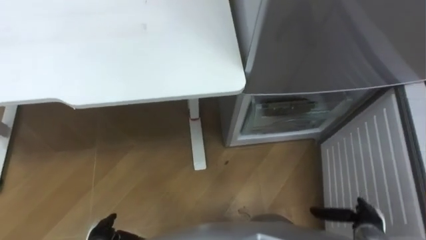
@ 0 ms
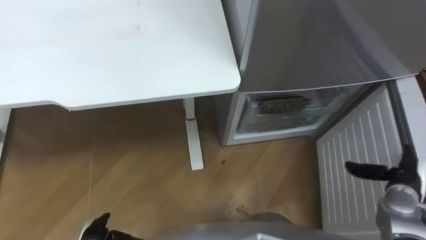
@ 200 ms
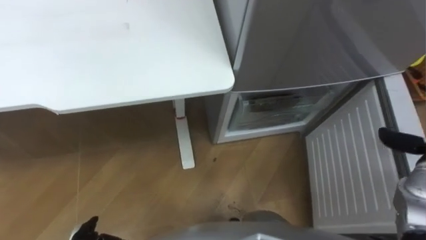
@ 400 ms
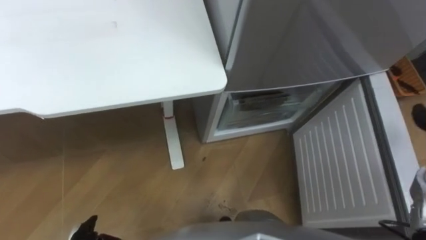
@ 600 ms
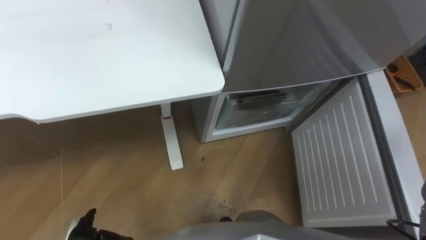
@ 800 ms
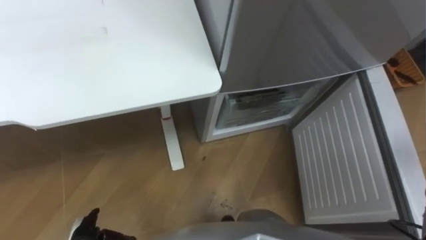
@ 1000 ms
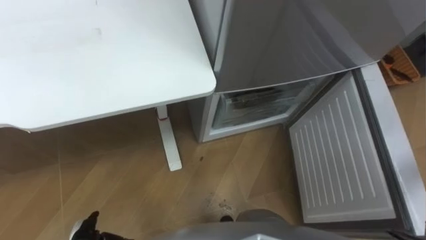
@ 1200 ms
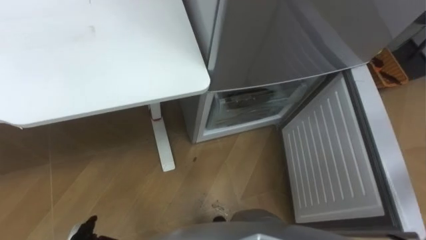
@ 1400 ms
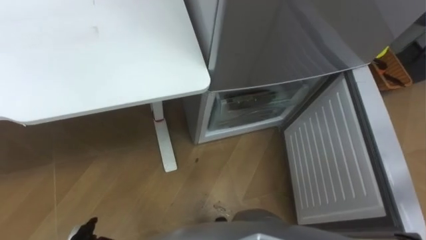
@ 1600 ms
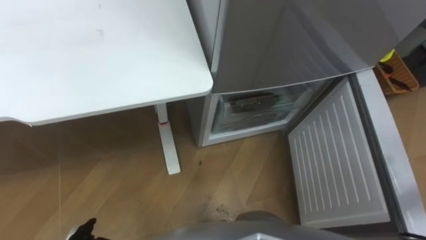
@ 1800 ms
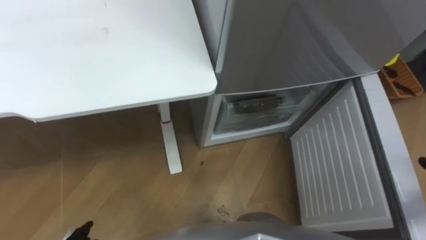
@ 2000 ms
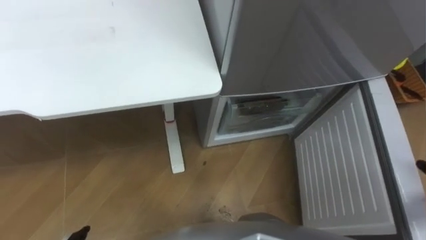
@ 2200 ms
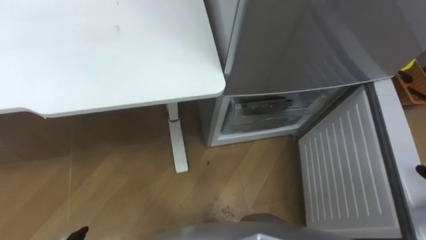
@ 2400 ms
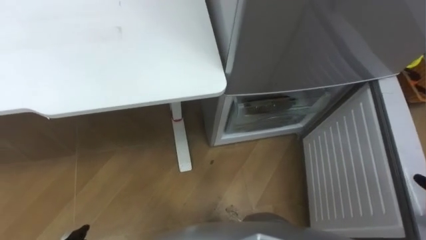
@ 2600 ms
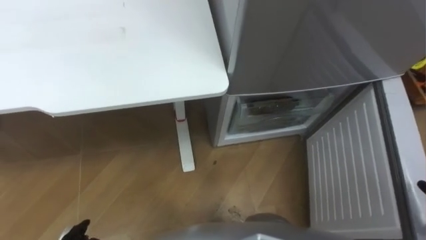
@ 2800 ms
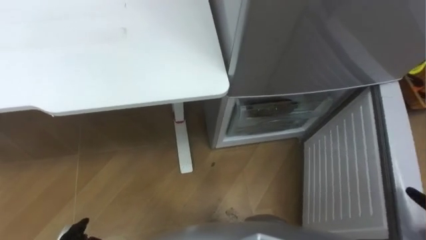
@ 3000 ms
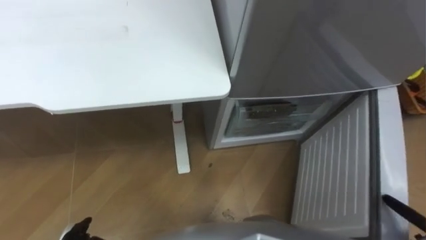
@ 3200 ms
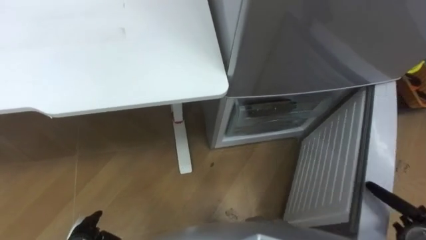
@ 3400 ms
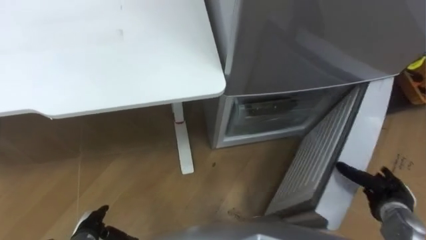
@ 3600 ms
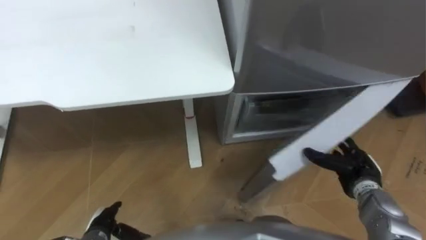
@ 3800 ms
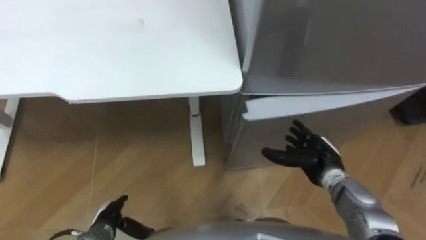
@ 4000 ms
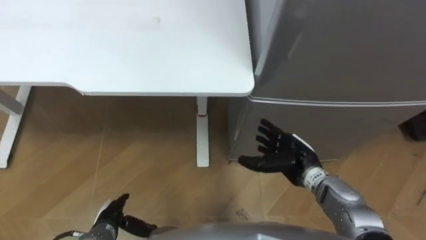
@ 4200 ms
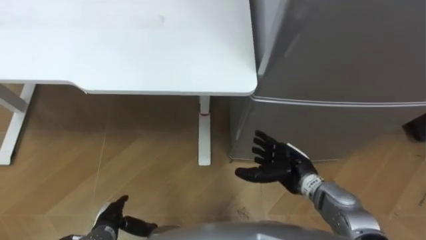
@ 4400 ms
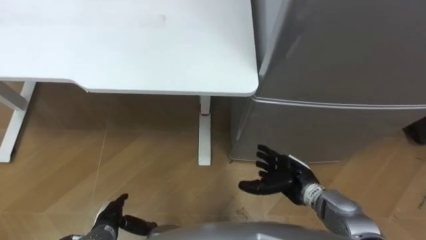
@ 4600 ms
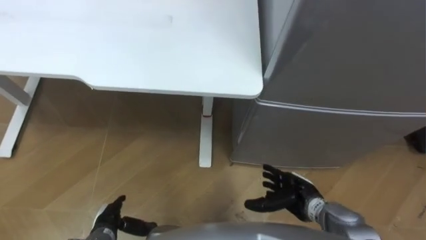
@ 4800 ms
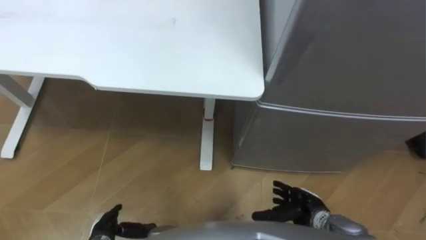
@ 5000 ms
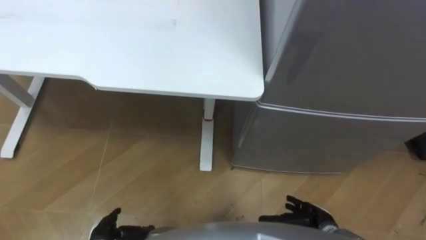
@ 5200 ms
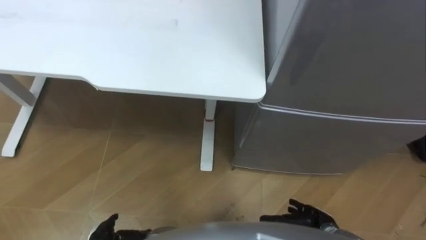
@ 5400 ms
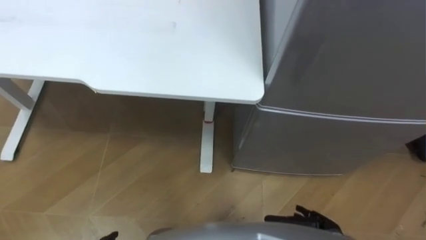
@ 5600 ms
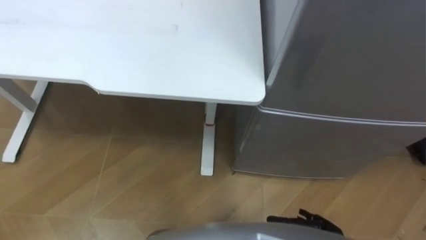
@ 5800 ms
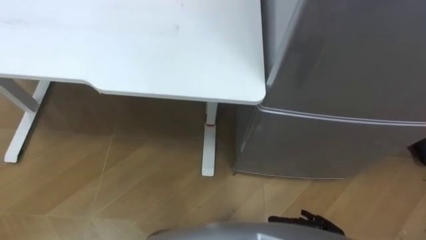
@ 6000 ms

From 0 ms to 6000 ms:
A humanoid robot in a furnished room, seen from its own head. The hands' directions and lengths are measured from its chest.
Task of the whole recording: Place the drink on the table on the bottom shelf of the refrigerator, then close the drawer and the refrigerator door.
From 4400 ms to 6000 ms: The right hand is displaced backward, downward and to the right by some 20 cm.

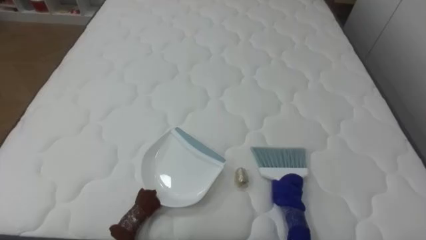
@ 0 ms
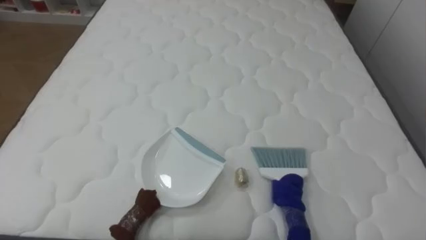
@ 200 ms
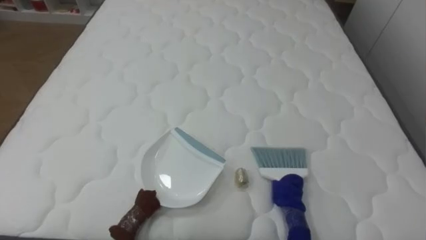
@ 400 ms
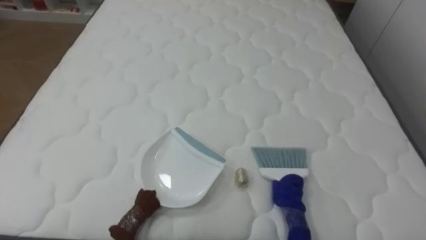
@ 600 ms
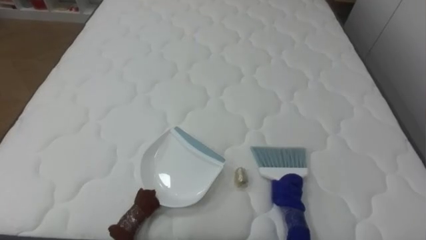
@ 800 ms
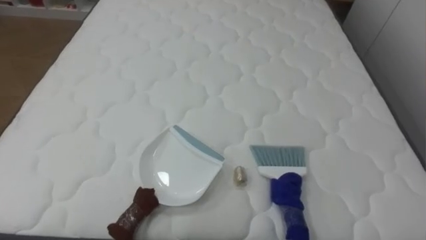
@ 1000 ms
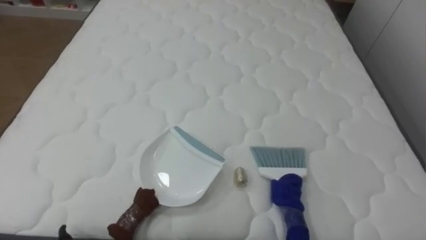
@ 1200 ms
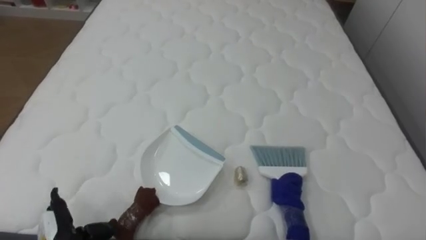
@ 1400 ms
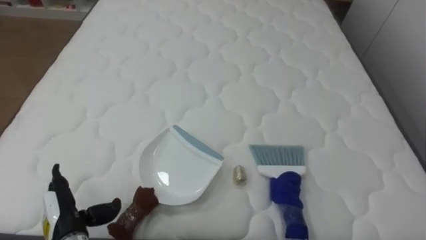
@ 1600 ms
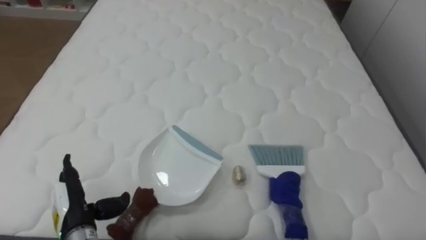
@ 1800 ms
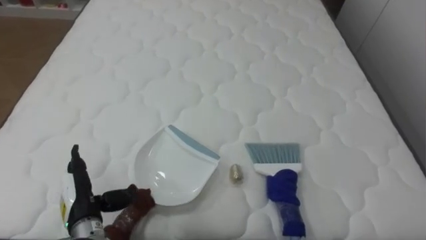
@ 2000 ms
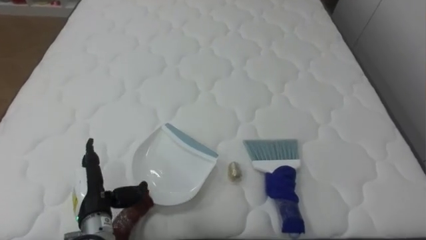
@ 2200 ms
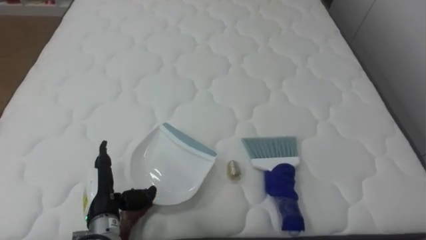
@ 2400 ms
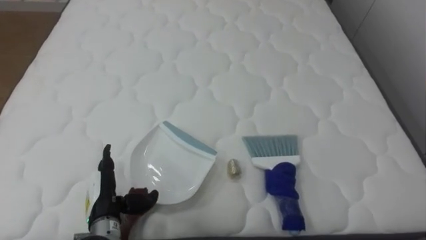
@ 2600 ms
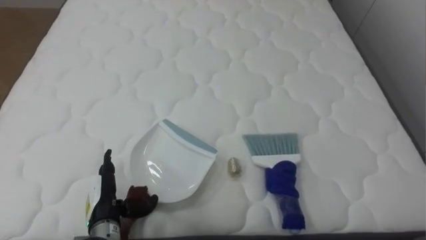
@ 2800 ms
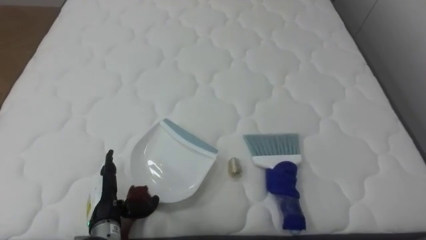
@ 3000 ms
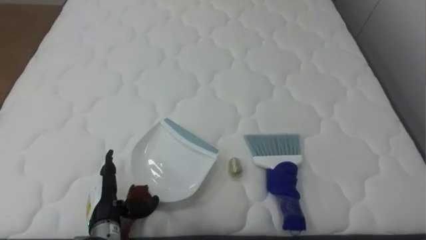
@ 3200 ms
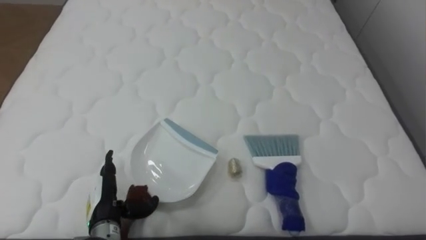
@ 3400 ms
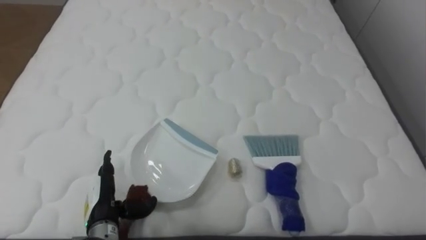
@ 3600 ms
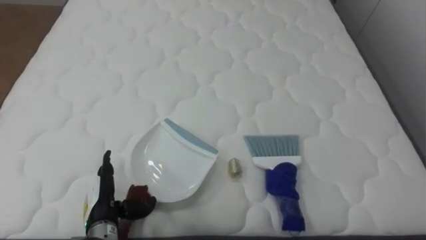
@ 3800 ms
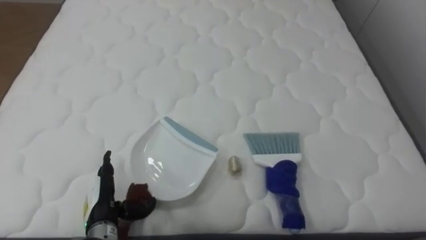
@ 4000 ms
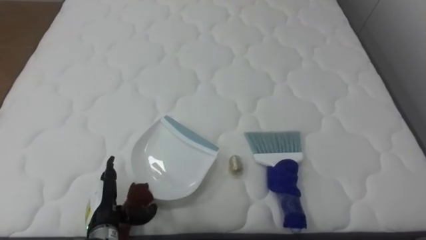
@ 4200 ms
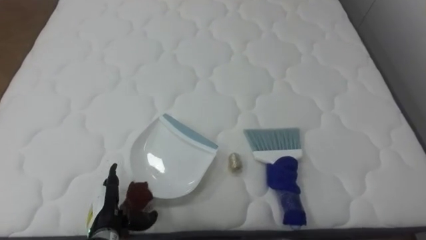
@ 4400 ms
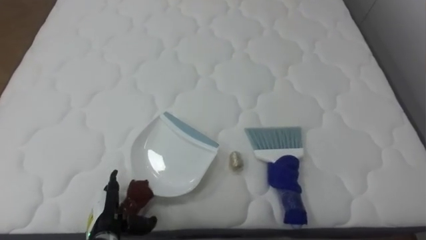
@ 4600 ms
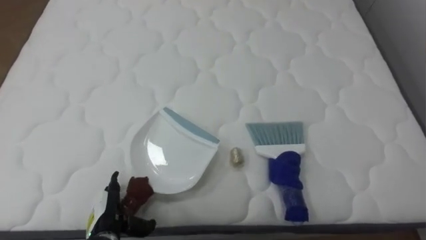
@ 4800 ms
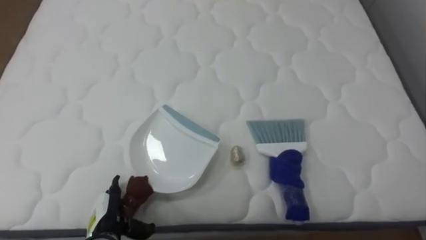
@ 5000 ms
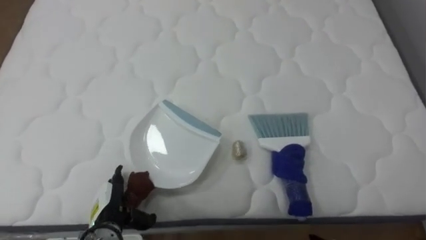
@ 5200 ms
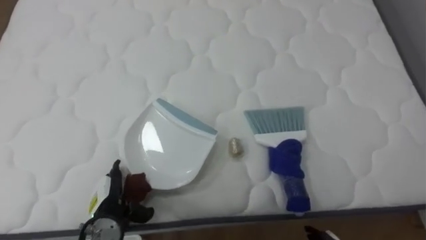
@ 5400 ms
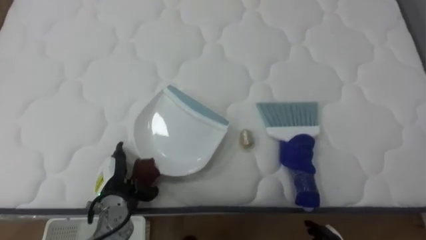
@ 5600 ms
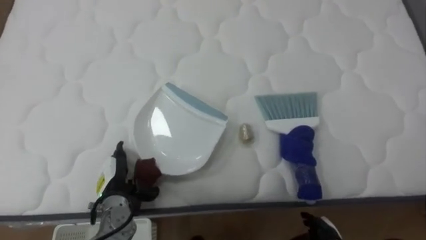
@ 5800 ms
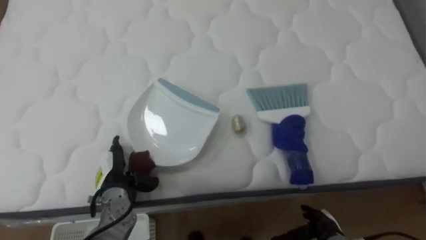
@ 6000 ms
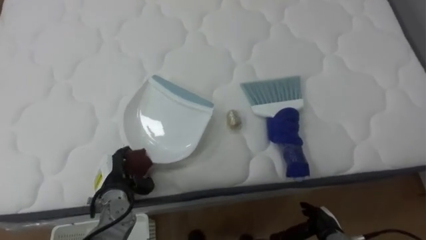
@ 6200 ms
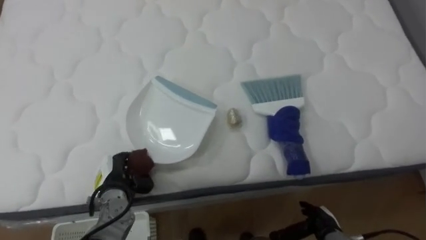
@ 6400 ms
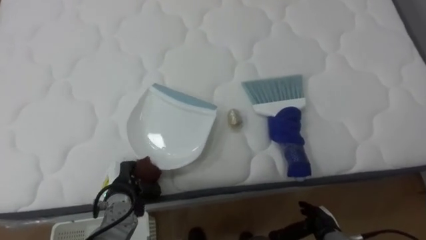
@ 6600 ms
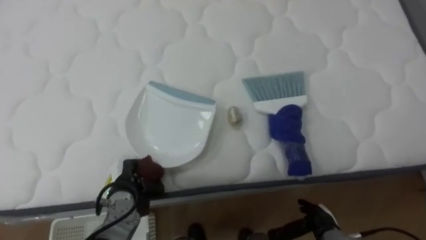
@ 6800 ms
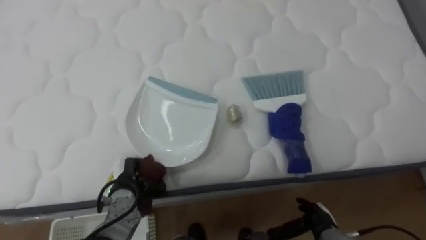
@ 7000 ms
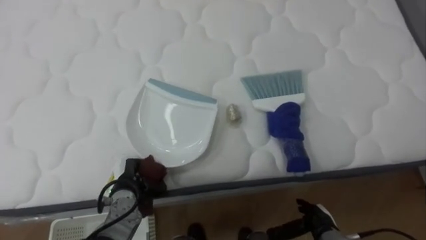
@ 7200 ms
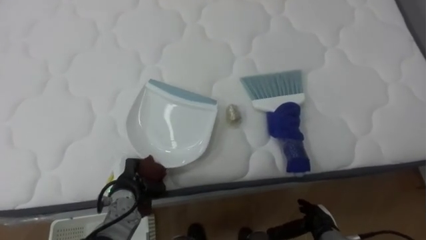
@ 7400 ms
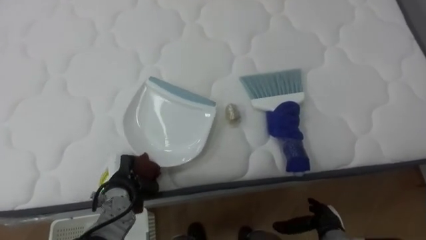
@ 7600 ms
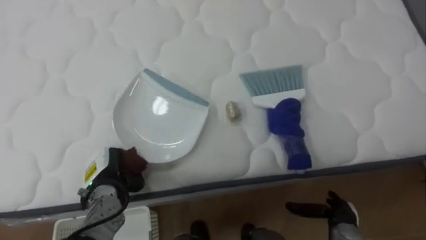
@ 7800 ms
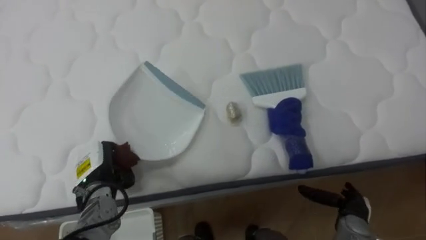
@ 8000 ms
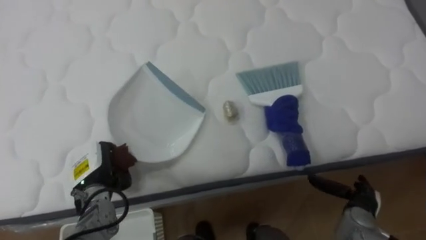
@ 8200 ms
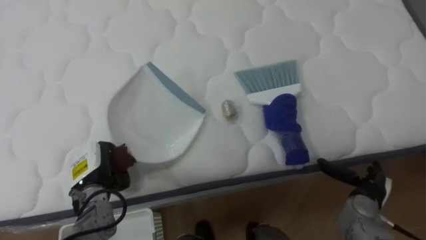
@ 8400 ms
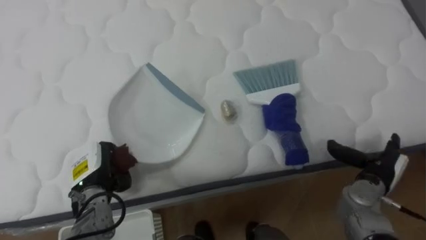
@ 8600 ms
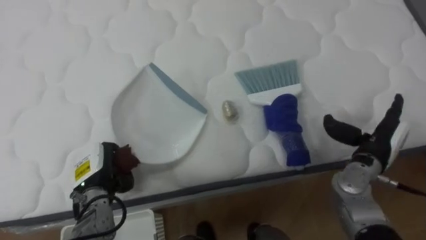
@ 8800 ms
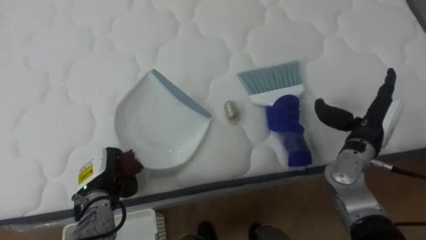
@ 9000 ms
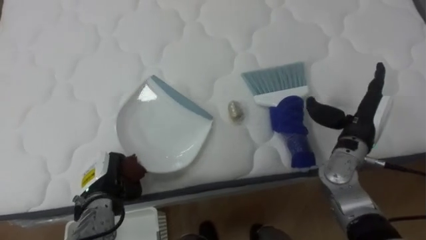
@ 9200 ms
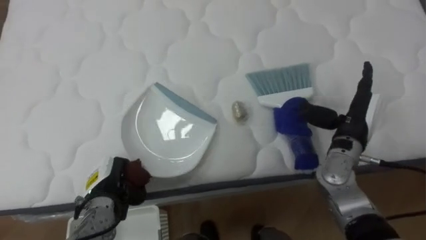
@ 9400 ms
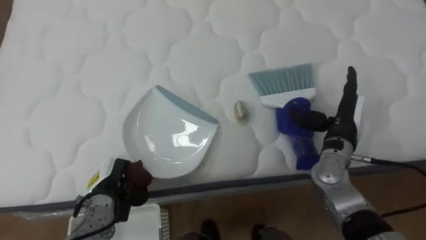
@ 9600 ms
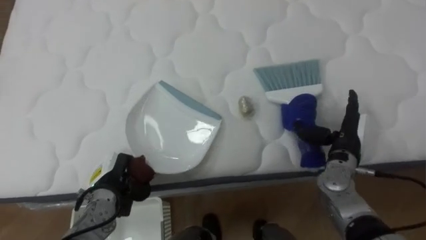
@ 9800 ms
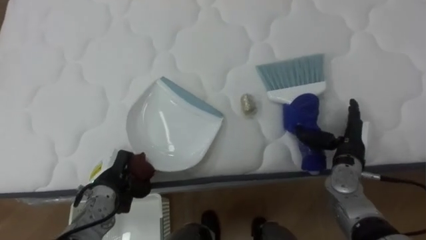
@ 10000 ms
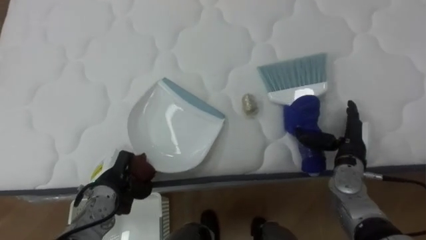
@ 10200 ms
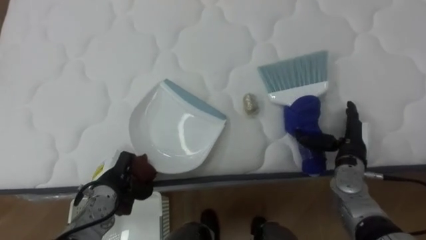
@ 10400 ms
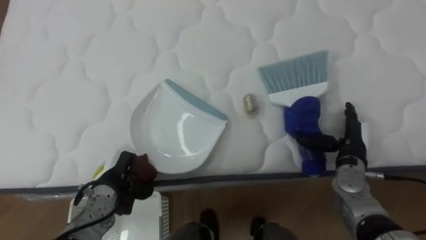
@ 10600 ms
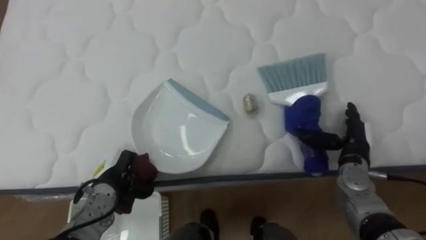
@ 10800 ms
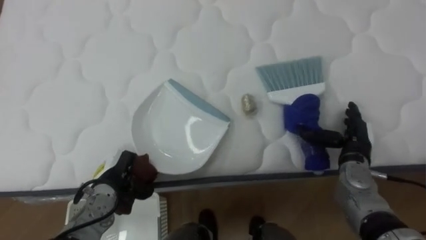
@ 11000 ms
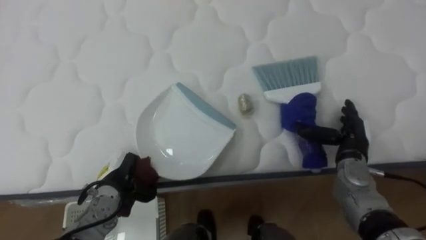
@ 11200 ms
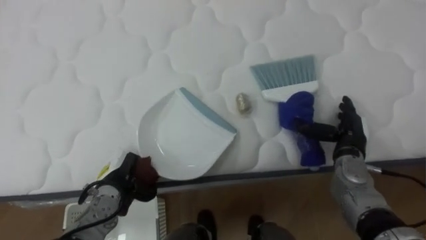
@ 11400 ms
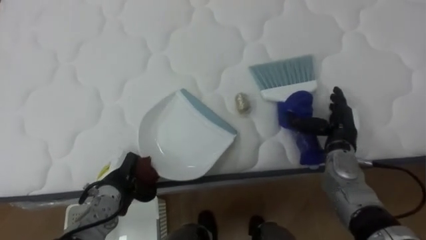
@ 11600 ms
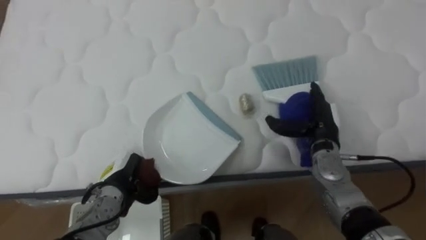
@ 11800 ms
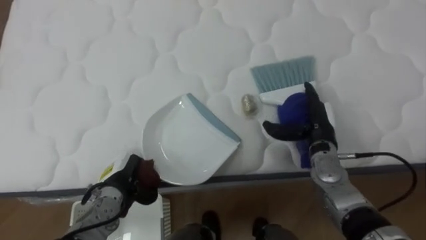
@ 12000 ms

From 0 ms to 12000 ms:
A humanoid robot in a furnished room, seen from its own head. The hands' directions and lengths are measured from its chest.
Task of the whole recording: Pick up the brush on your right and the dustpan on your left. Use the brush to sweep the crumpled paper on the bed into the dustpan, then turn left and empty it into the basket.
From 1600 ms to 3000 ms: The left hand travels to the right by approximately 5 cm.
From 4400 ms to 6000 ms: The left hand shifts about 5 cm forward.
From 6000 ms to 7600 ms: The left hand closes.
From 7600 ms to 9000 ms: The right hand travels upward and forward by approximately 25 cm.
From 9000 ms to 10400 ms: The right hand heads downward, covering approximately 5 cm.
From 10400 ms to 12000 ms: The right hand heads to the left, covering about 5 cm.
